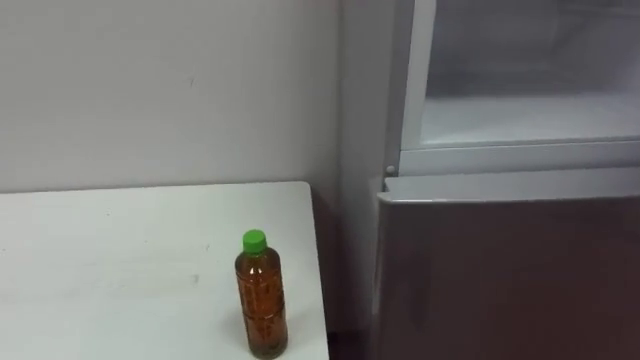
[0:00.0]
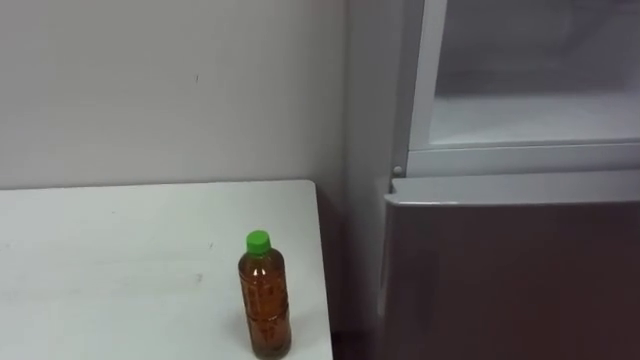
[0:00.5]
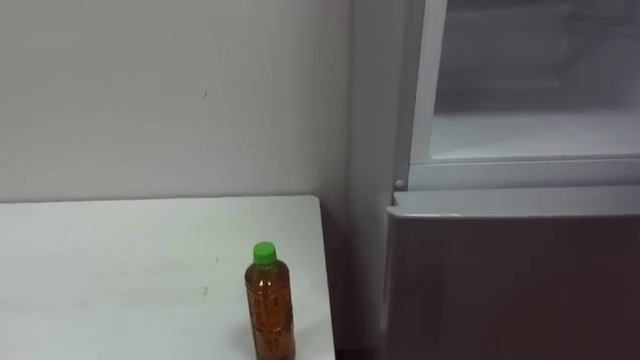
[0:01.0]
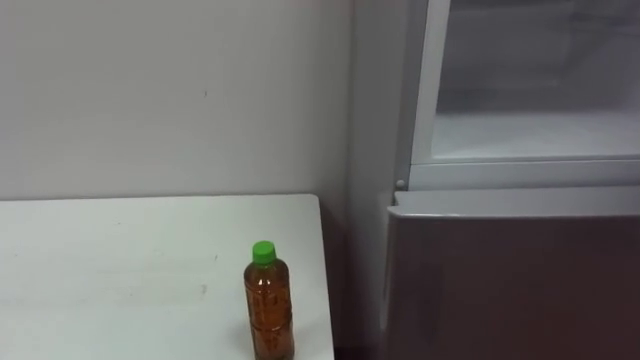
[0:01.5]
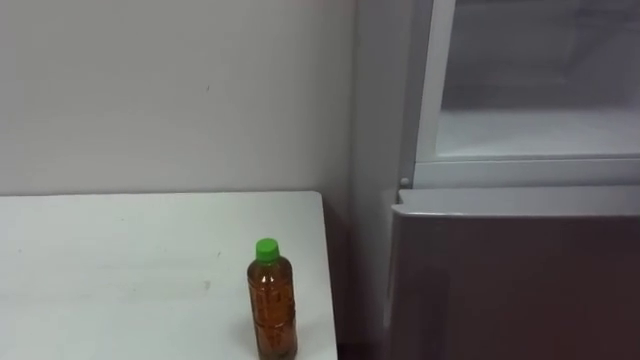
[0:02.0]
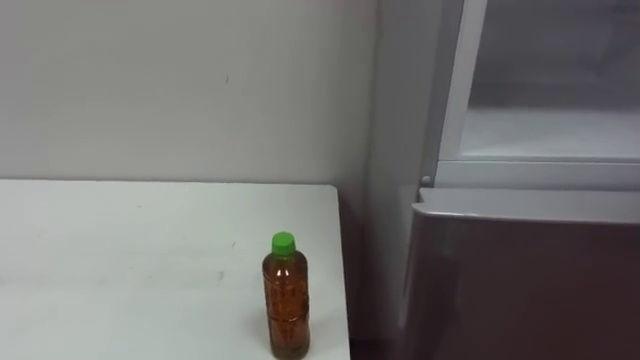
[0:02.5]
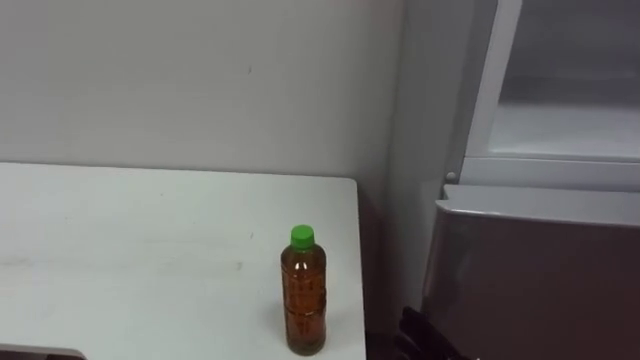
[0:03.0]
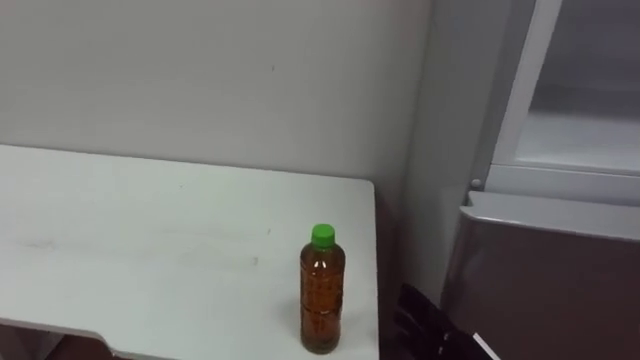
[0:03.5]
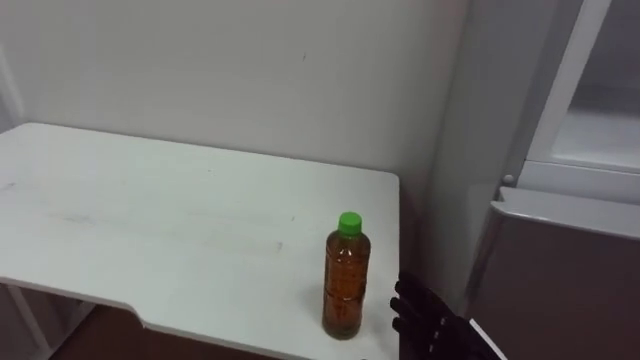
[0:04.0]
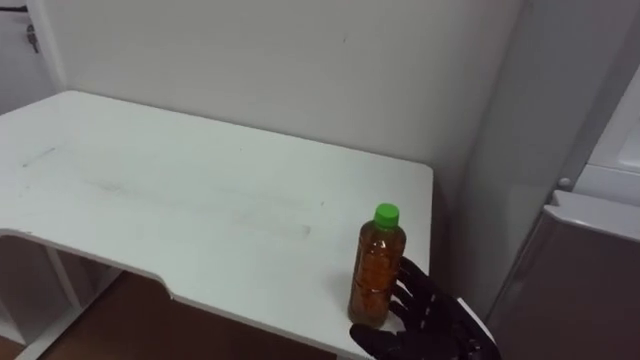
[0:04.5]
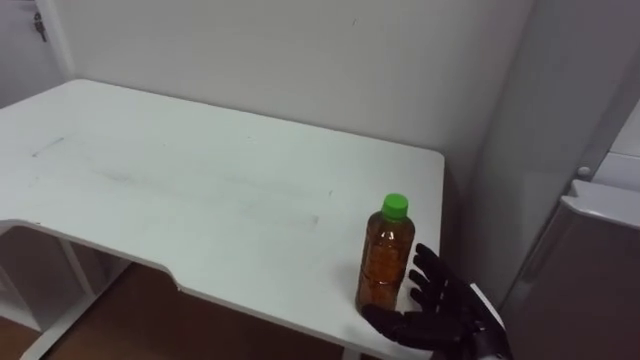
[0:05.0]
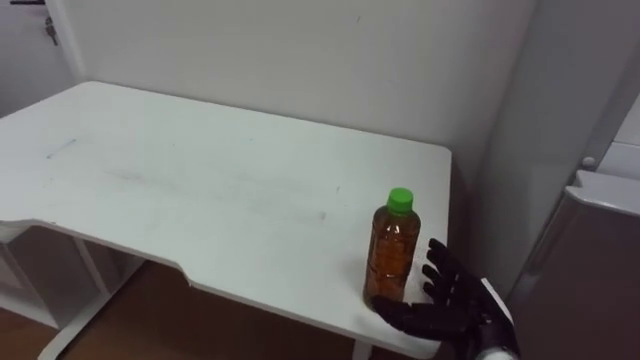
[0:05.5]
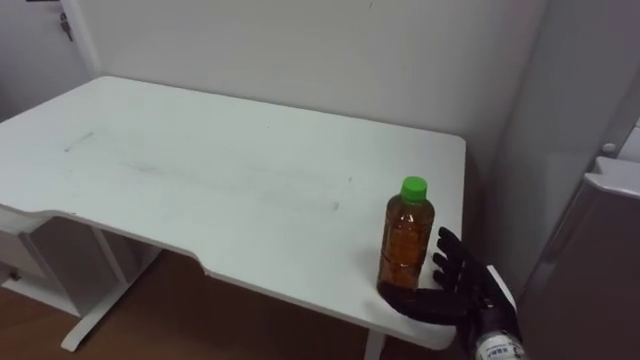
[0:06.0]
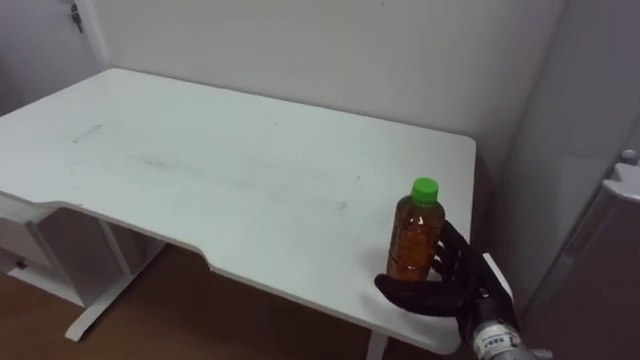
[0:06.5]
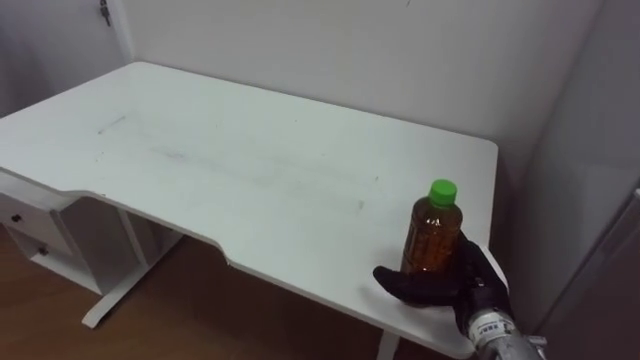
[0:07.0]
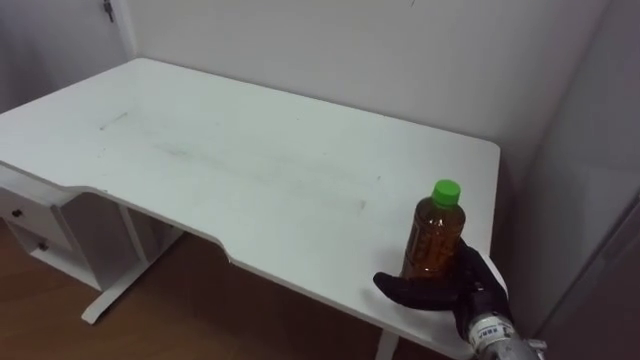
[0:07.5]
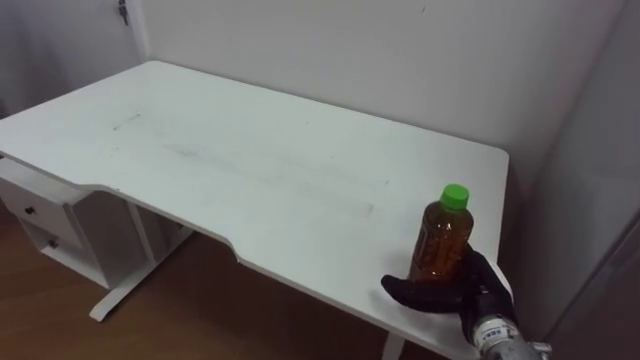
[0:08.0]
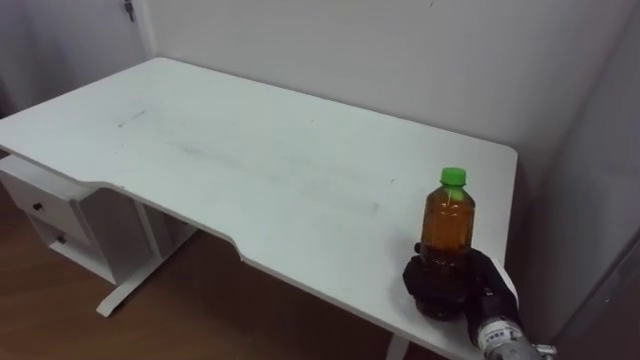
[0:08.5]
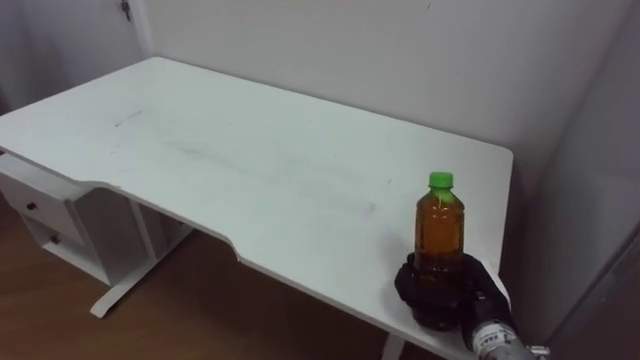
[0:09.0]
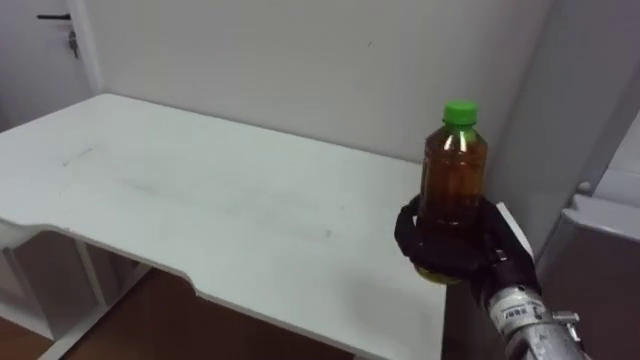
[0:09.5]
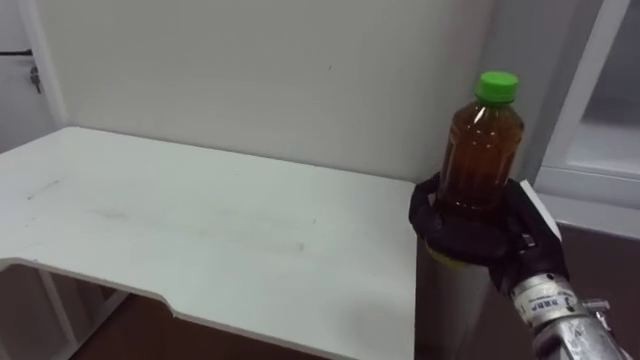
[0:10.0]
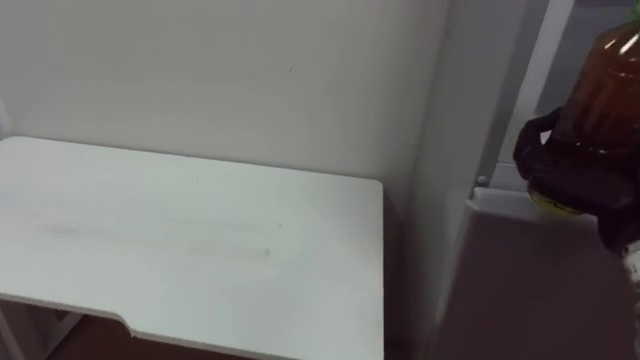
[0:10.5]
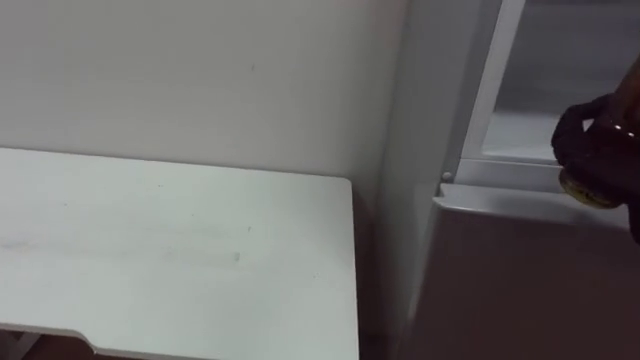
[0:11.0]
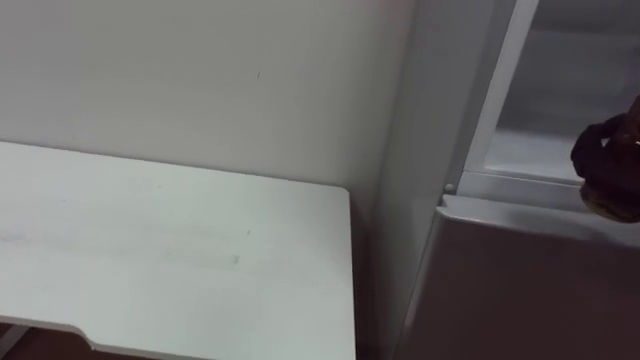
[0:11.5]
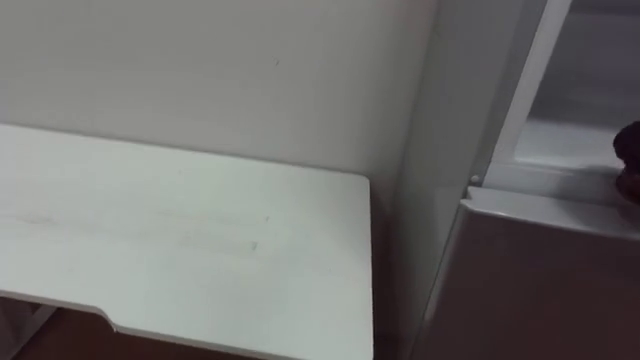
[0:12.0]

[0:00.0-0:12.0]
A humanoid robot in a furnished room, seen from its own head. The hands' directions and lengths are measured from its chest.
Task of the whole recording: Open the upper refrigerator door, put the drink from the table into the refrigerator, and then close the refrigerator door.
0:04.0 to 0:06.0: The right hand is displaced forward by roughly 10 cm.
0:08.0 to 0:10.0: The right hand shifts about 10 cm upward, and closes.

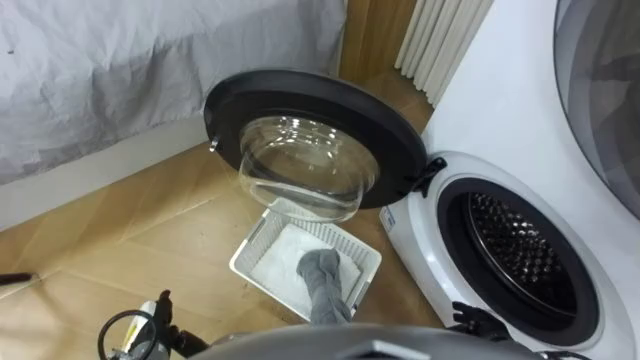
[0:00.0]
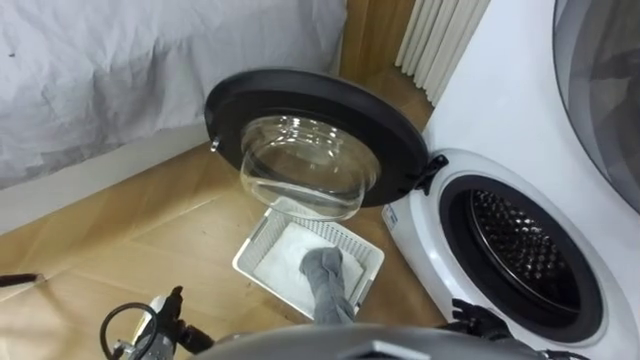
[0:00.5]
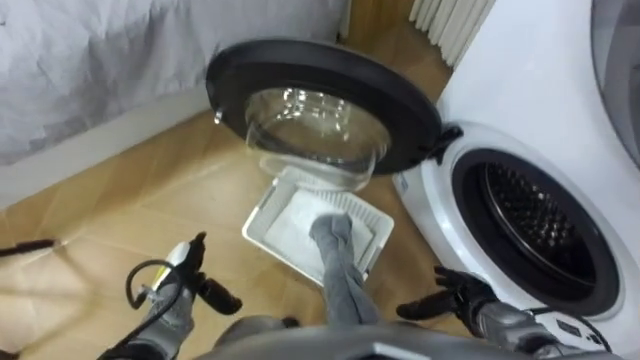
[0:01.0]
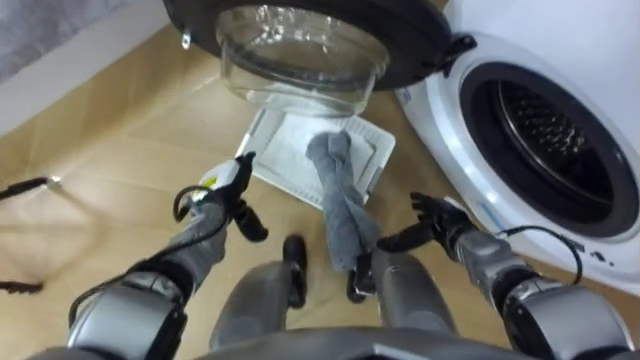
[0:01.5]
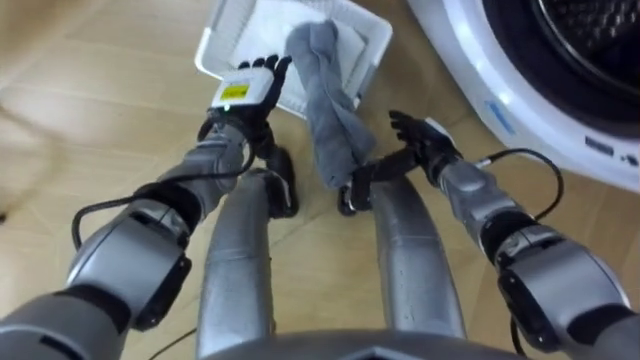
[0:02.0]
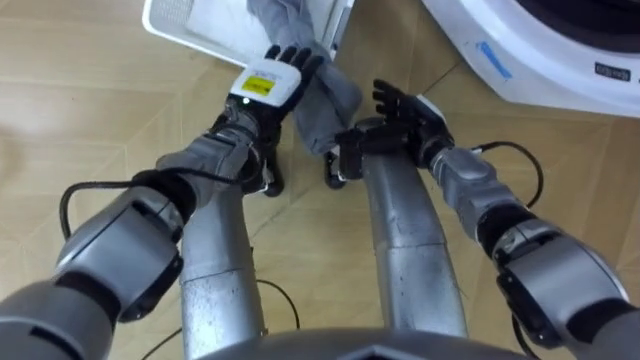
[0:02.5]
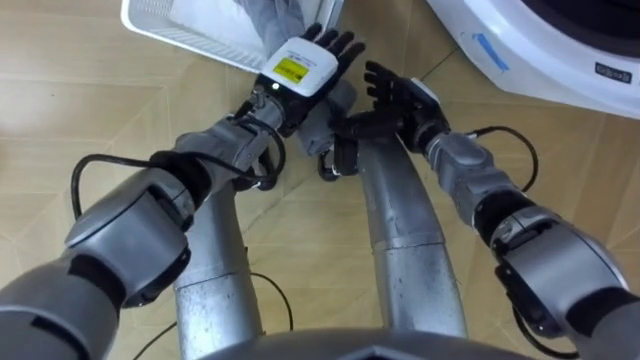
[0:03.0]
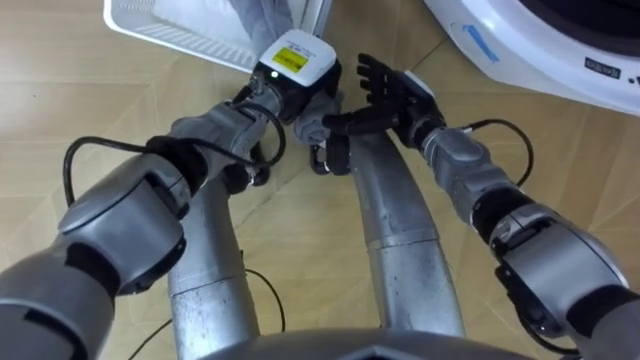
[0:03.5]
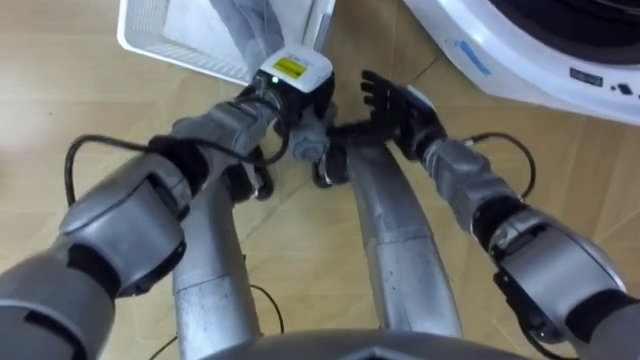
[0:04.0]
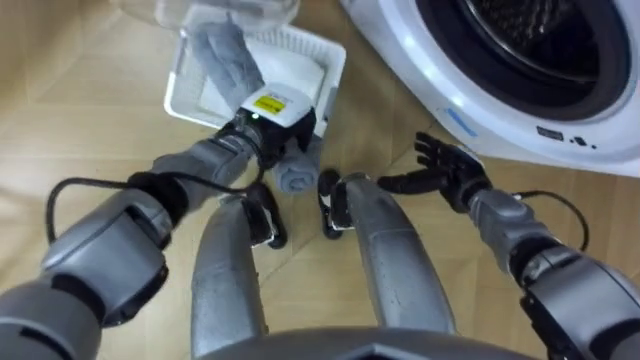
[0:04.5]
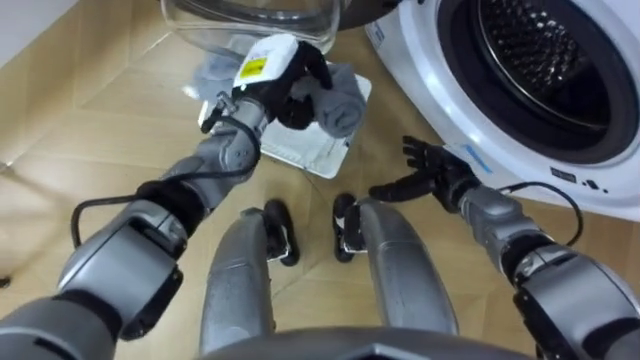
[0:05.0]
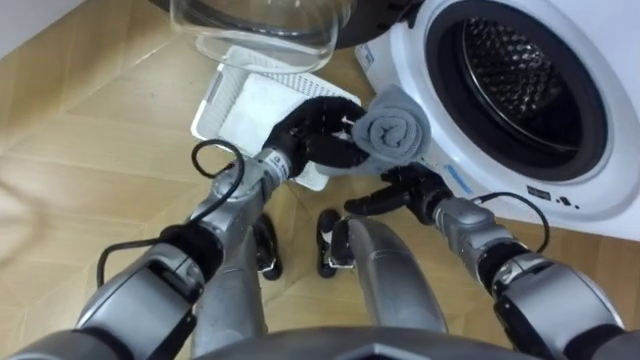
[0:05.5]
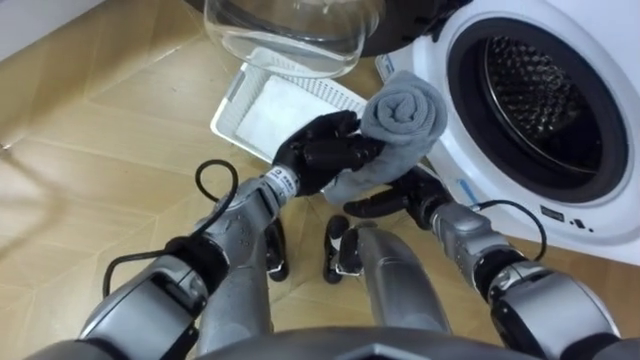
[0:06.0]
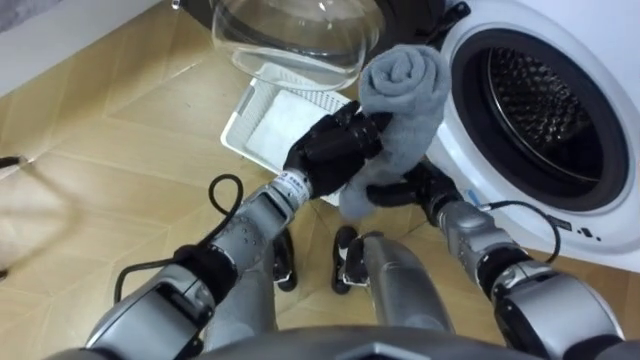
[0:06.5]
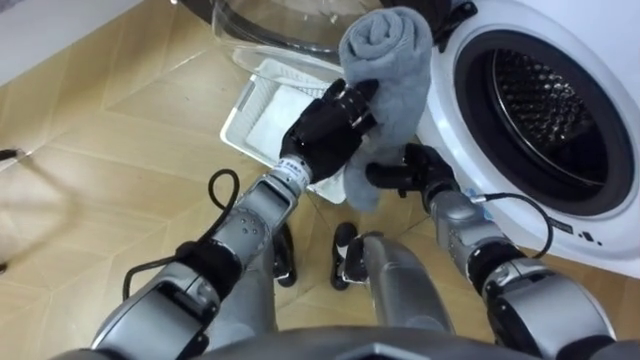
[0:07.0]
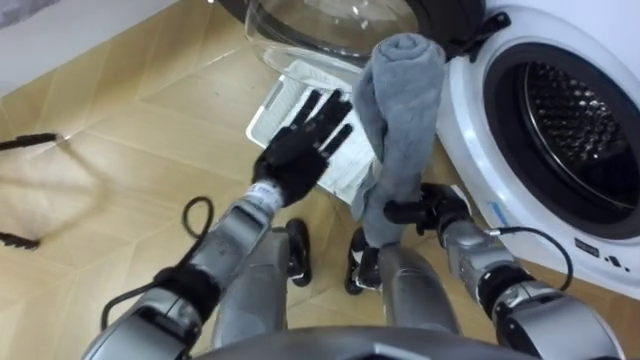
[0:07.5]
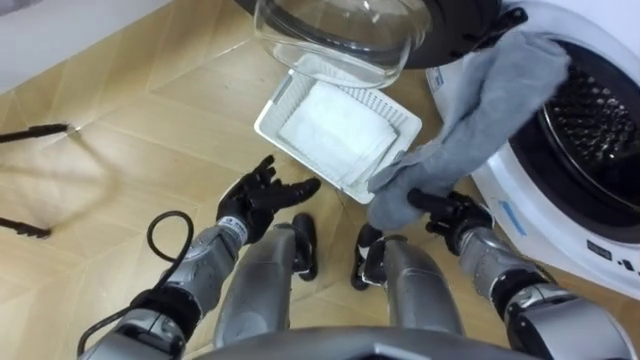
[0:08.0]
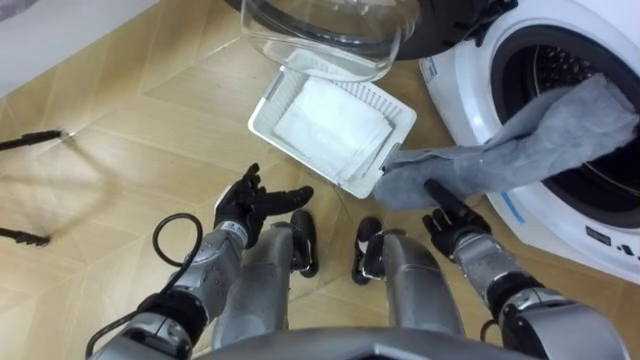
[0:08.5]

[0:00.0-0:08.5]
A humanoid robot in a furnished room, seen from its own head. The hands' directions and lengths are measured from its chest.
Task of the whole recording: Take the towel from the basket and put it into the washing machine.
0:02.0 to 0:04.0: The left hand moves to the right, about 5 cm, and closes up; the right hand ends up roughly 5 cm from where it was.
0:04.0 to 0:06.5: The left hand goes some 10 cm backward; the right hand moves downward and backward, about 10 cm, and closes its fingers.
0:06.5 to 0:08.5: The right hand shifts approximately 10 cm to the right and backward. Meanwhile the left hand moves to the left and downward, roughly 15 cm, and opens its fingers.
